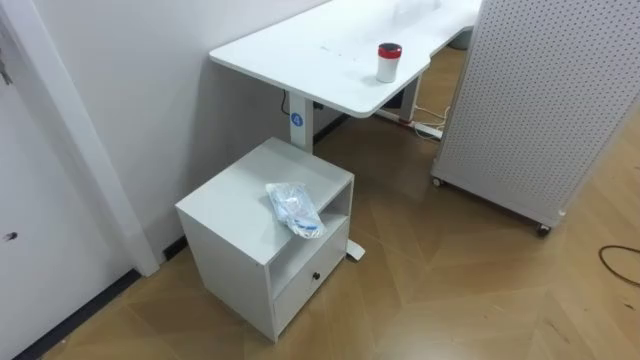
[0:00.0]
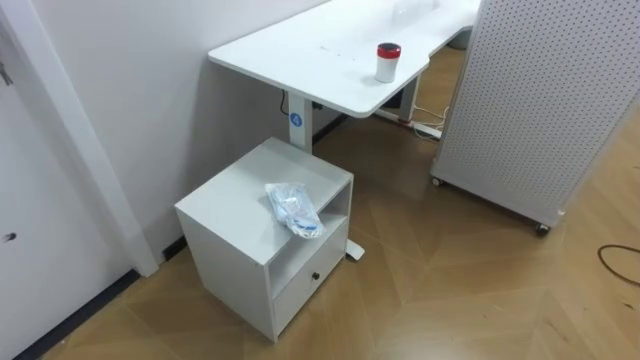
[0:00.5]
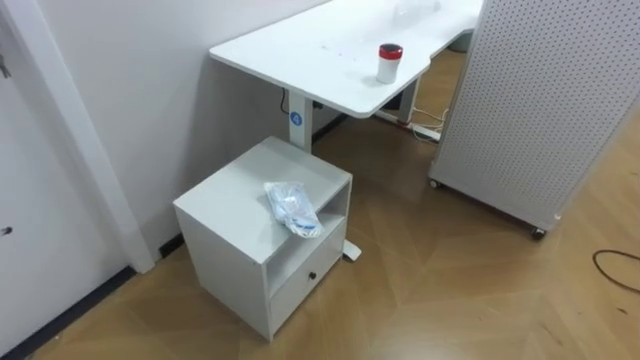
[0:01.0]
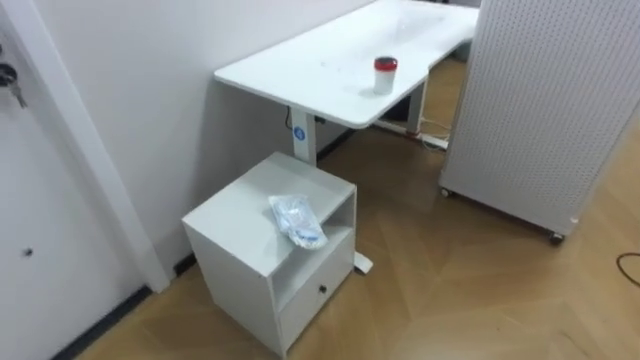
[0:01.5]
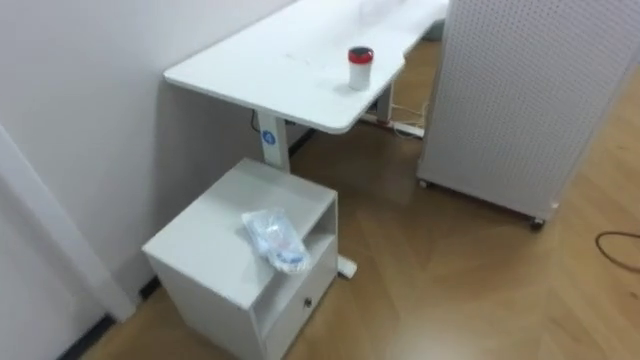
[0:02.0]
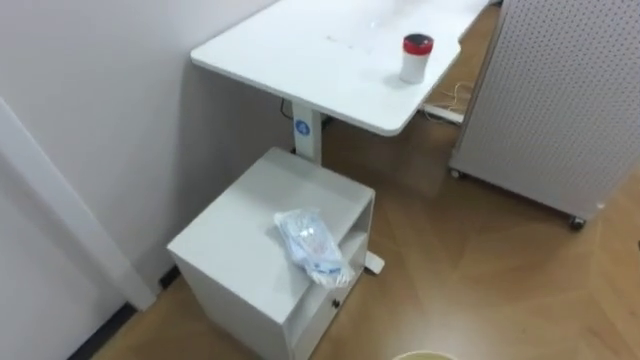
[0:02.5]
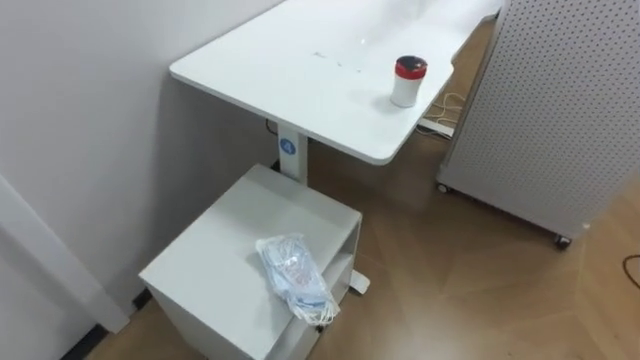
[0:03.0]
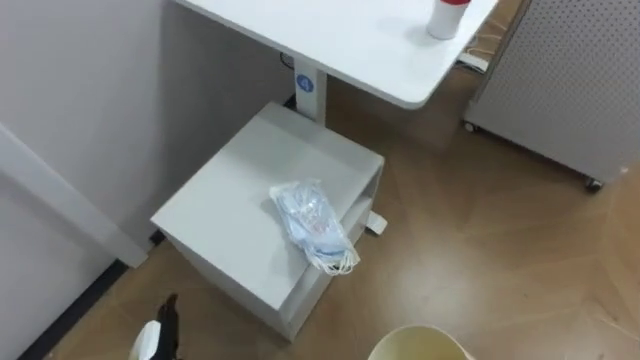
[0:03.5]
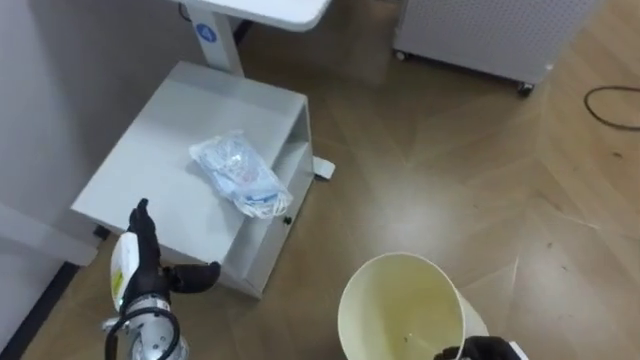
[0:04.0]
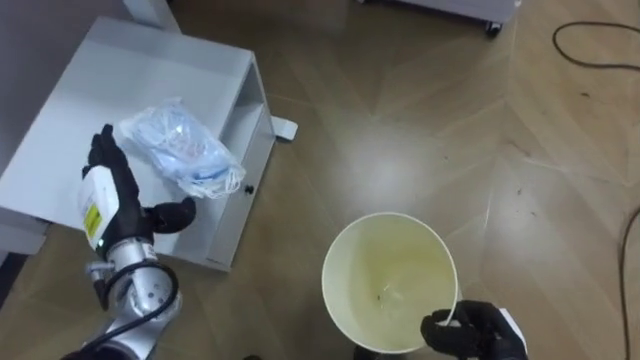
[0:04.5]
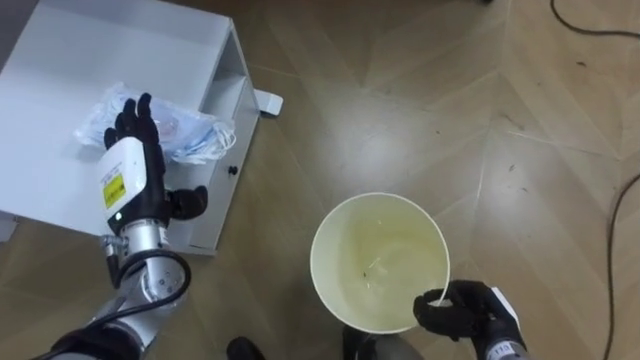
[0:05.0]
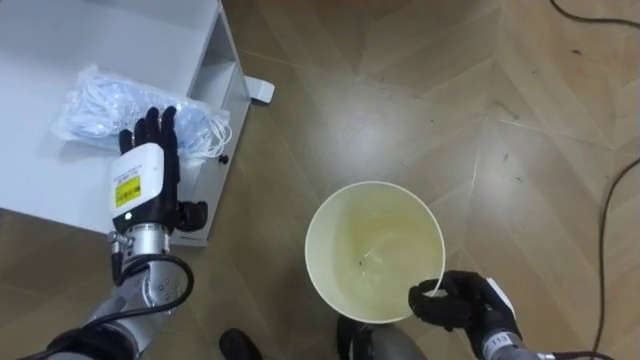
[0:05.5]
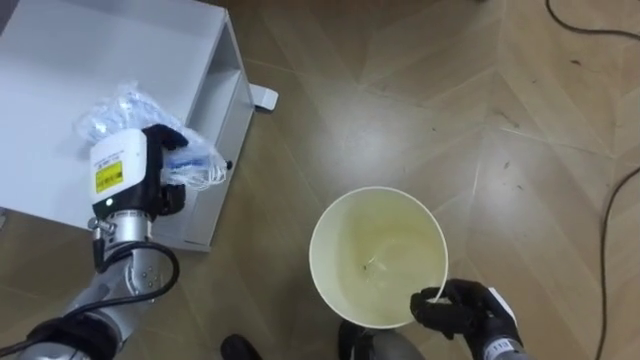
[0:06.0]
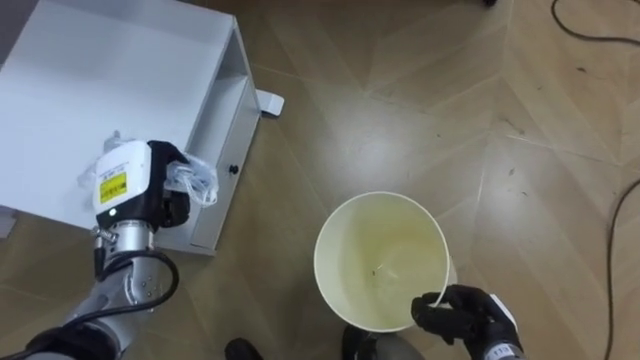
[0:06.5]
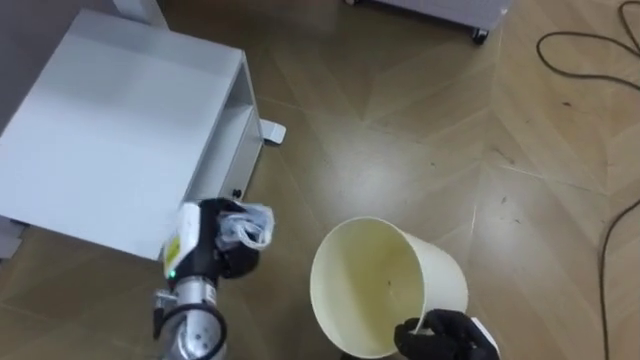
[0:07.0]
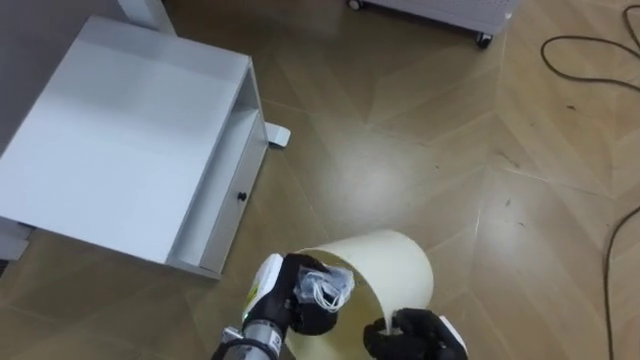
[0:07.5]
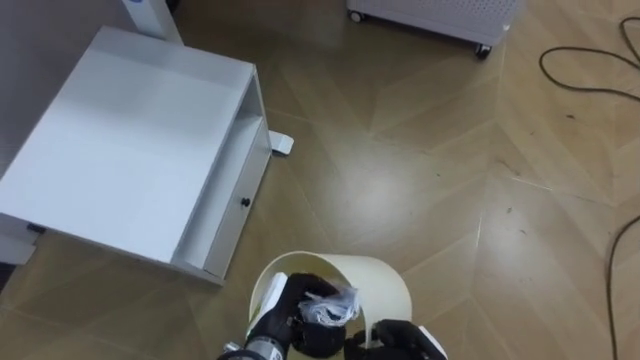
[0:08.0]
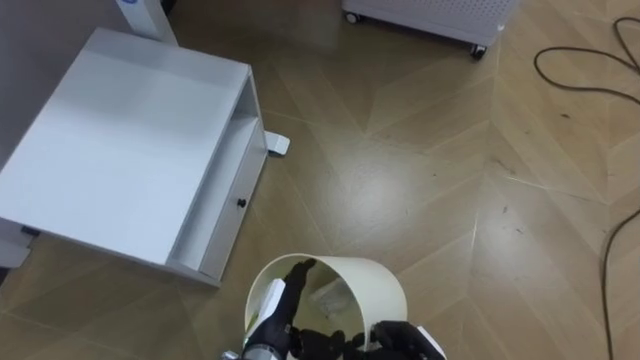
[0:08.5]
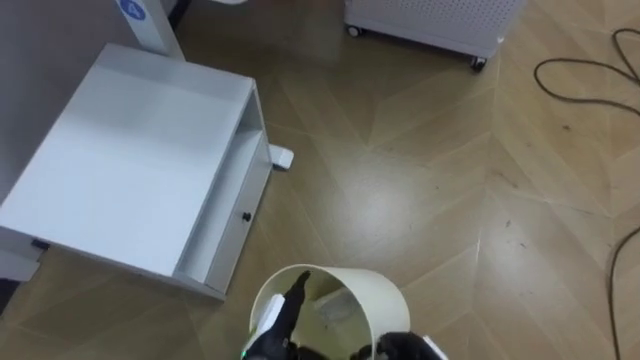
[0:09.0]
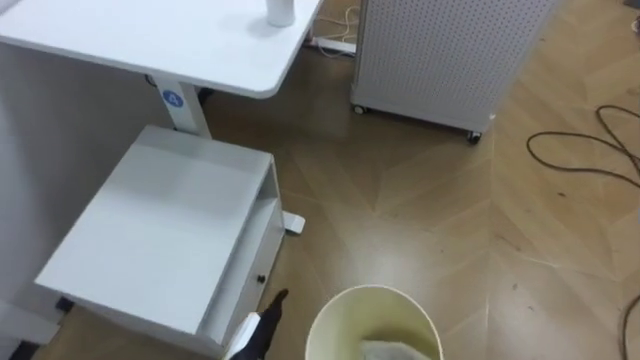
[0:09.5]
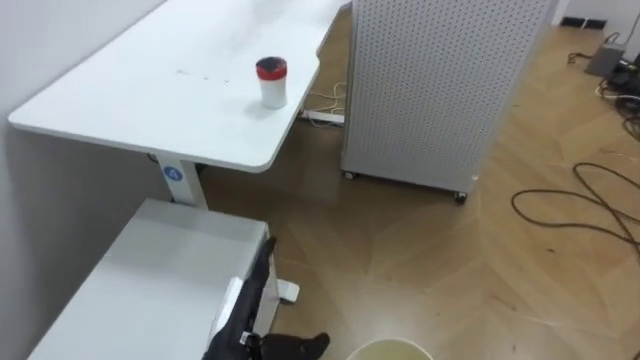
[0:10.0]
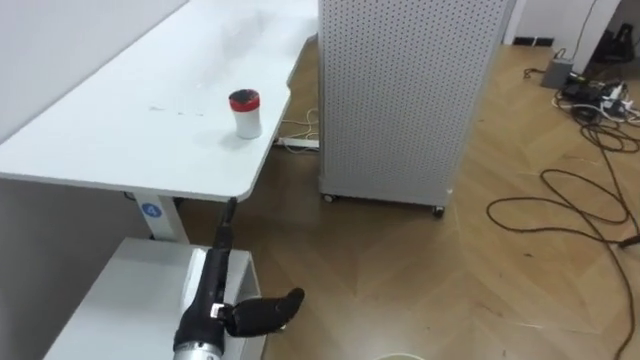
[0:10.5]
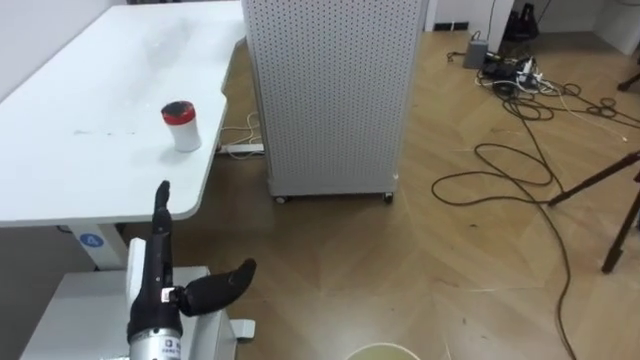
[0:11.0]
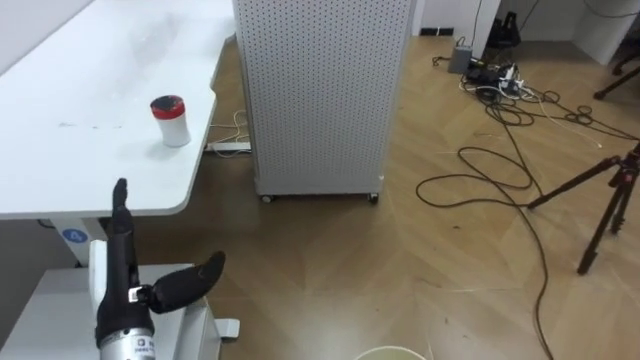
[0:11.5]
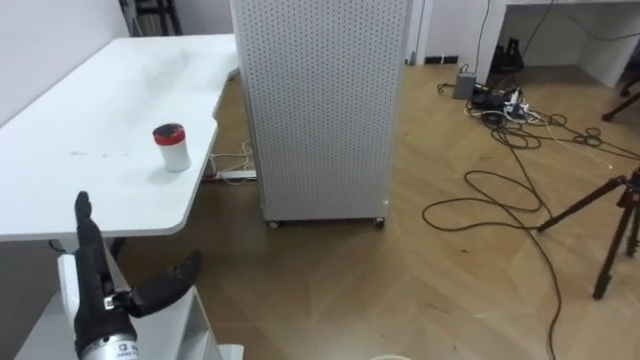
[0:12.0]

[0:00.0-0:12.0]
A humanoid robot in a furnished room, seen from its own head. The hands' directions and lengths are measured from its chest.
Task of the whole recording: Pick up the light blue package, the candy box, and the dark blue package separately, and put them into the trash can held in your right hand.
0:04.0 to 0:06.0: The left hand shifts about 15 cm upward and forward, and closes.
0:06.0 to 0:08.0: The left hand is displaced to the right, downward and backward by some 25 cm.
0:08.0 to 0:10.0: The left hand heads to the left, covering approximately 5 cm, and opens up.
0:10.0 to 0:12.0: The robot turns to its right by some 25 degrees. The left hand heads to the left and upward, covering roughly 15 cm.

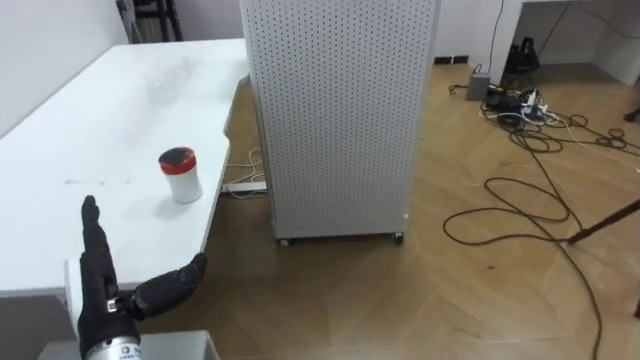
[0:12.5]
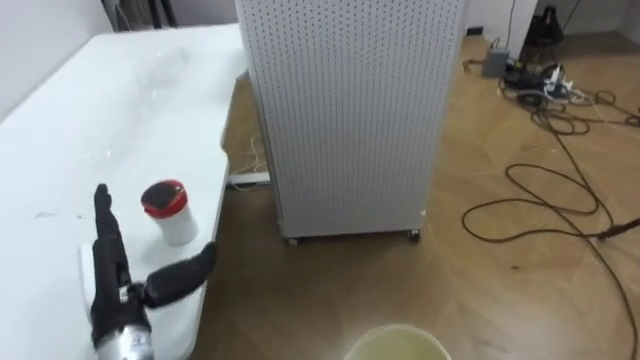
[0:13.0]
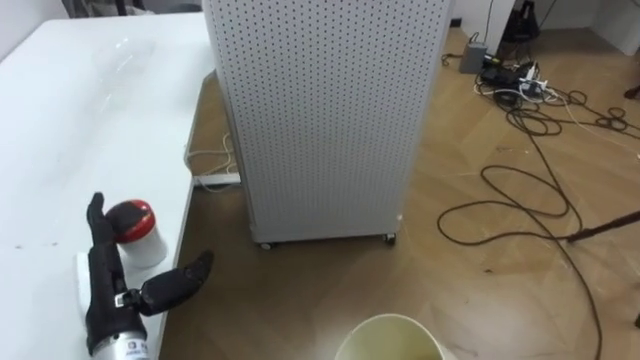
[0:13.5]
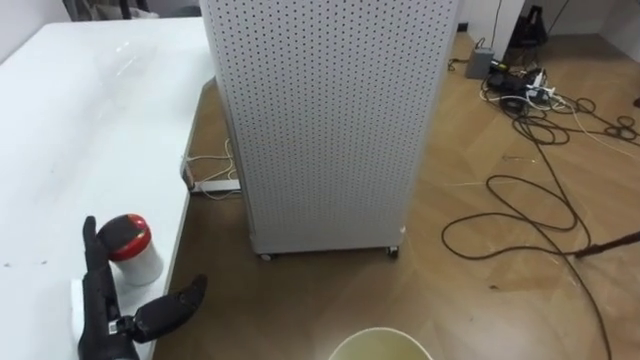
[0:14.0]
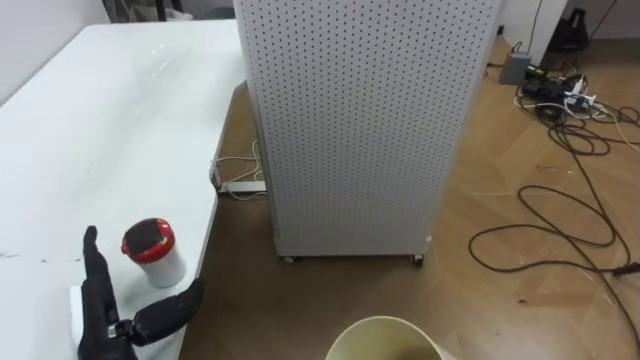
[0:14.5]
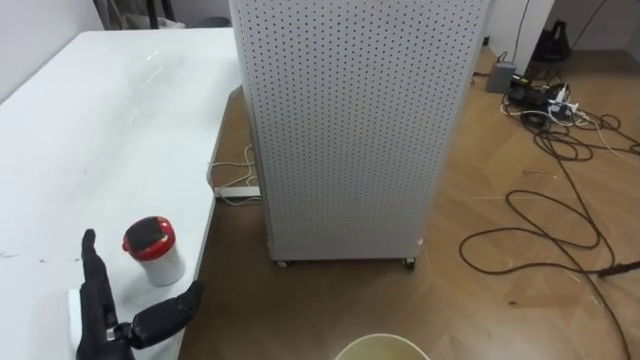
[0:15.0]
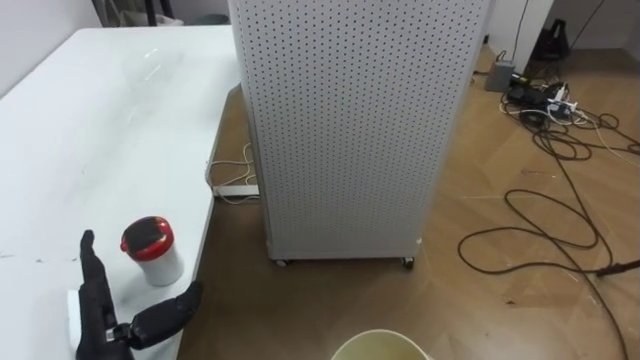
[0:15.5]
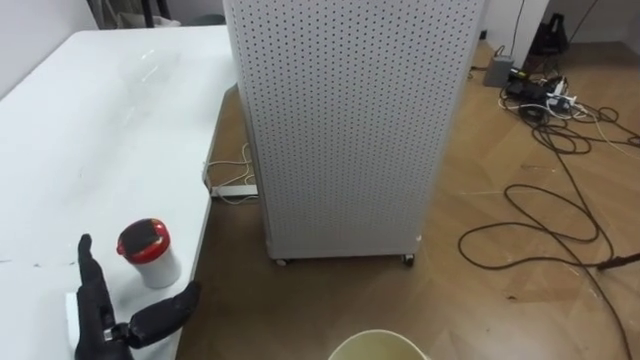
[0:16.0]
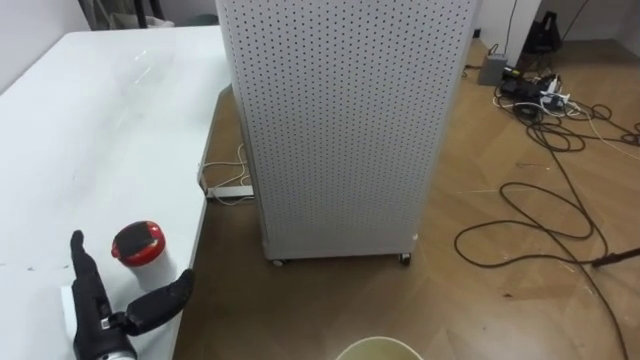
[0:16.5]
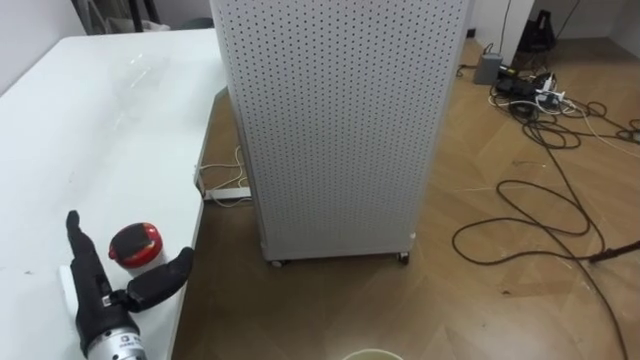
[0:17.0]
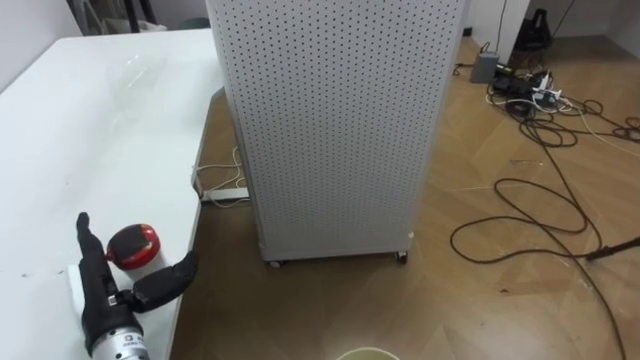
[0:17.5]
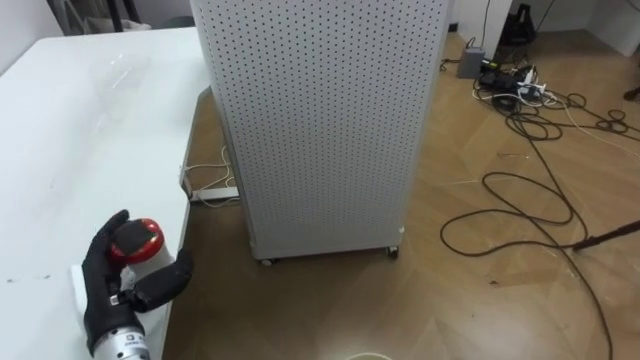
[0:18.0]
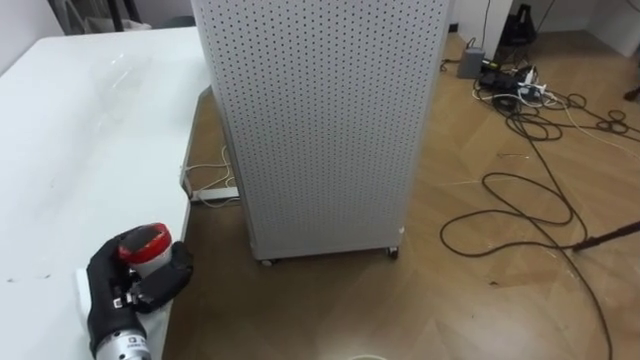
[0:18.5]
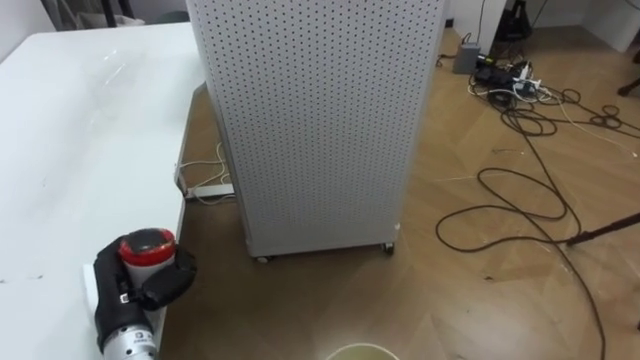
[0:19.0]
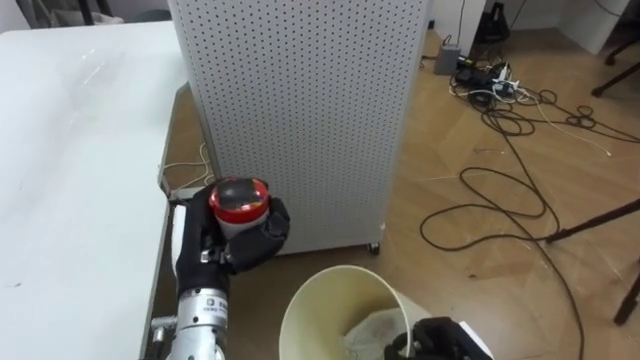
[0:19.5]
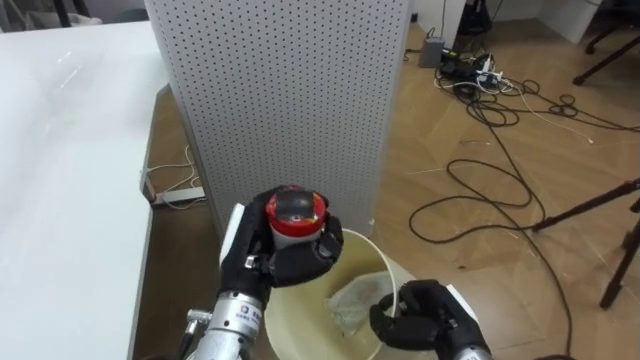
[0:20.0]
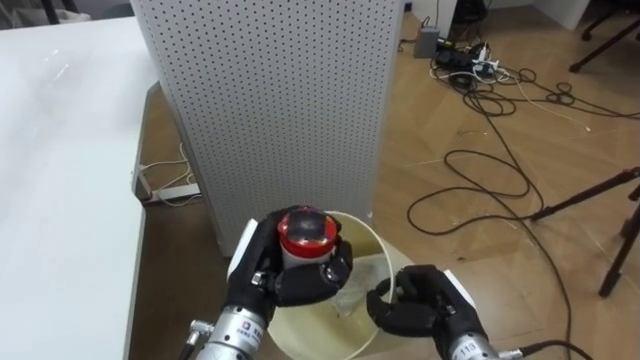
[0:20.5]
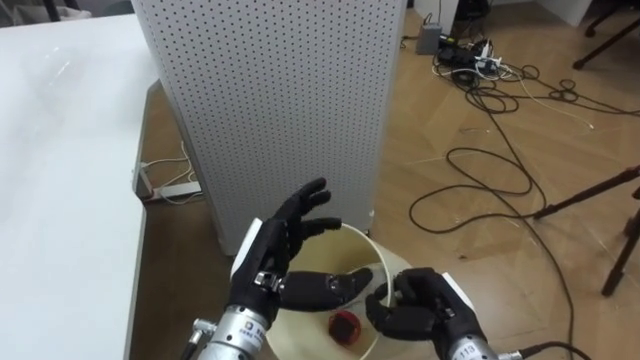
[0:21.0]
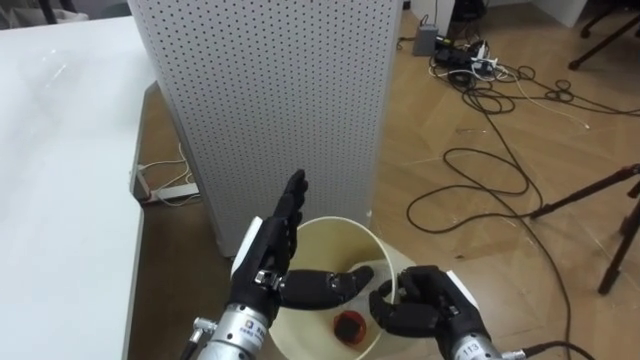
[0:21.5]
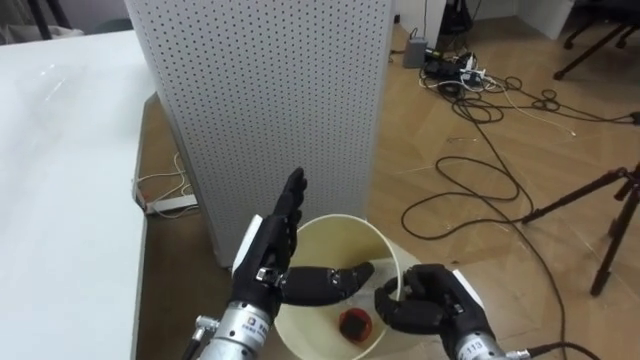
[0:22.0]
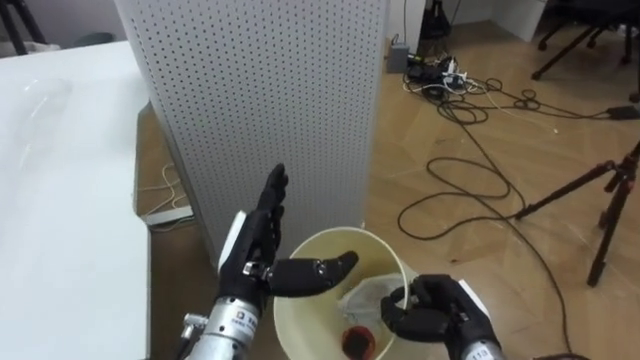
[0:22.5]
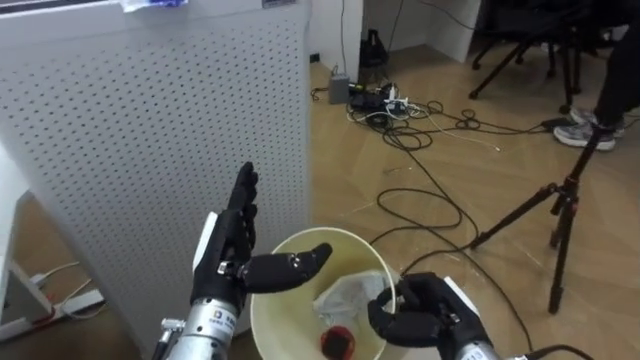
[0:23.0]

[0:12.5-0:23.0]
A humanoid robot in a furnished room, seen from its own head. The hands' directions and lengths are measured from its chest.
Task of the whole recording: Pick up the light blue package, the candy box, and the dark blue package separately, and put them into the trash can held in your right hand.
0:16.5 to 0:19.0: The left hand closes up.
0:19.0 to 0:21.0: The left hand shifts some 20 cm to the right, and opens its fingers.
